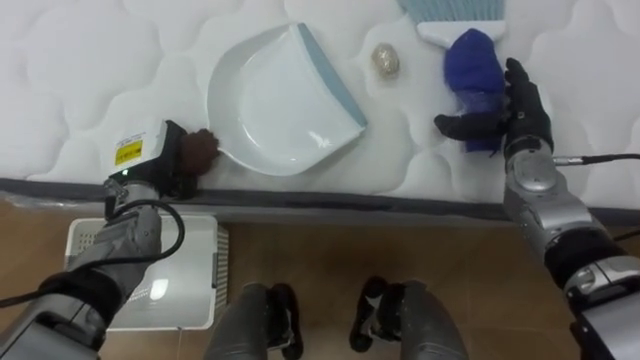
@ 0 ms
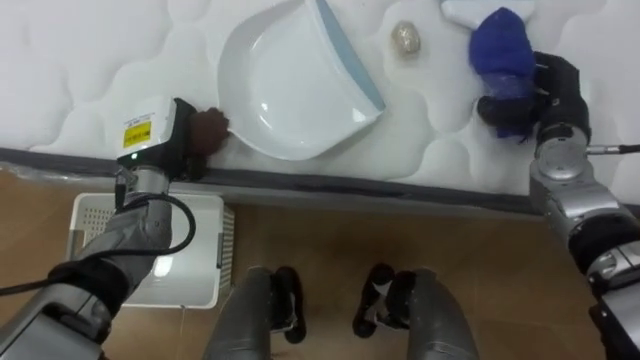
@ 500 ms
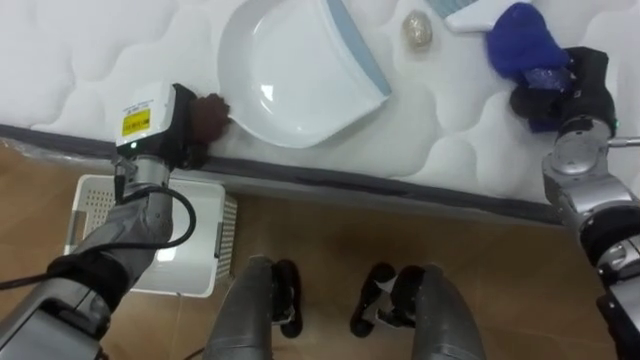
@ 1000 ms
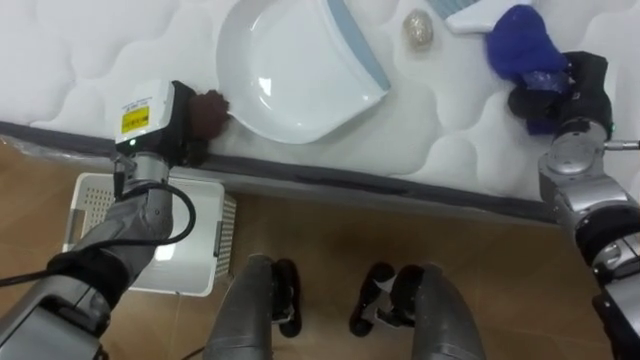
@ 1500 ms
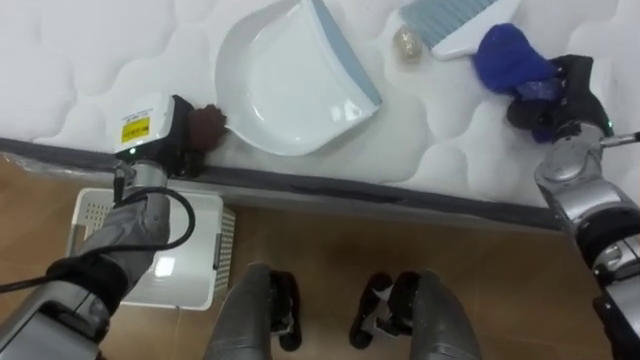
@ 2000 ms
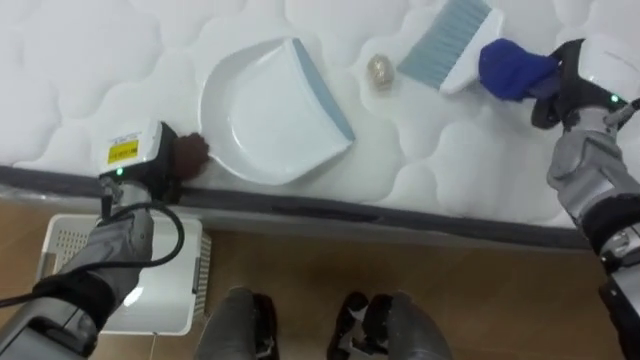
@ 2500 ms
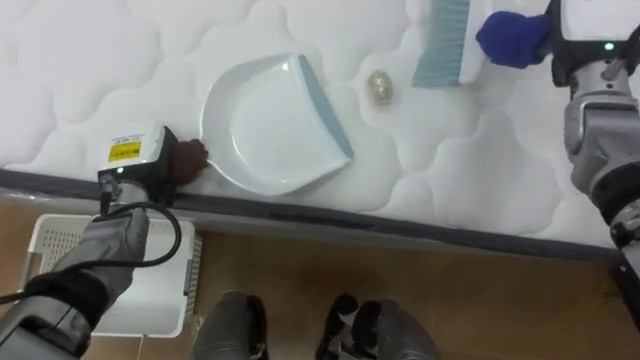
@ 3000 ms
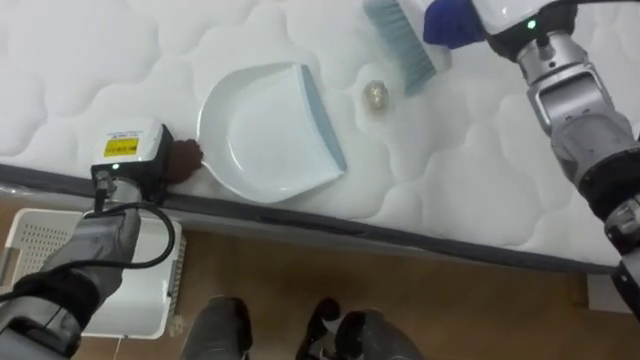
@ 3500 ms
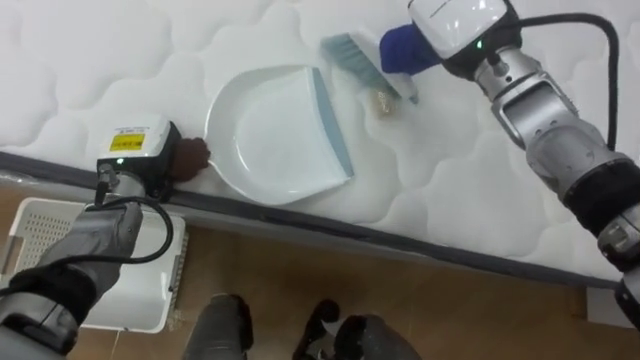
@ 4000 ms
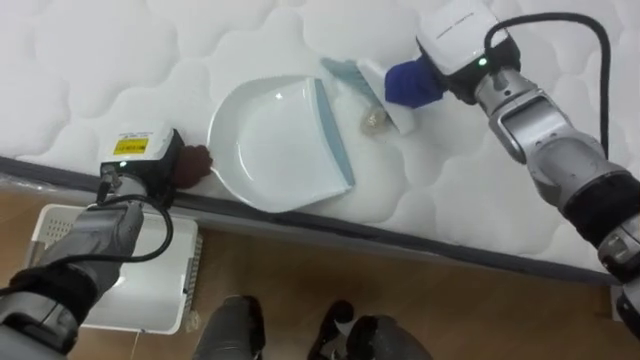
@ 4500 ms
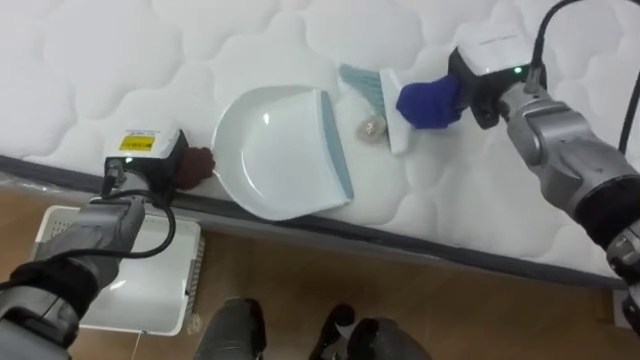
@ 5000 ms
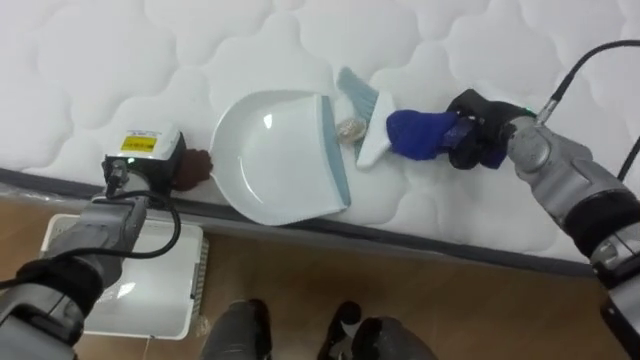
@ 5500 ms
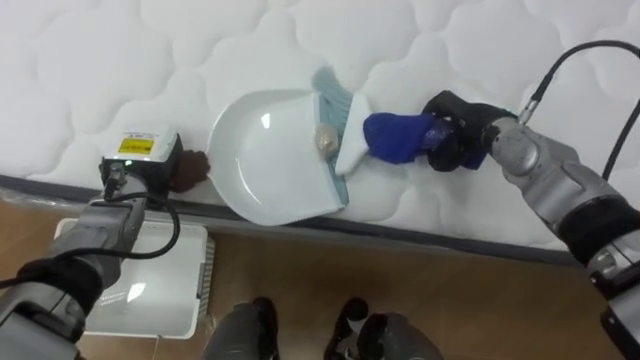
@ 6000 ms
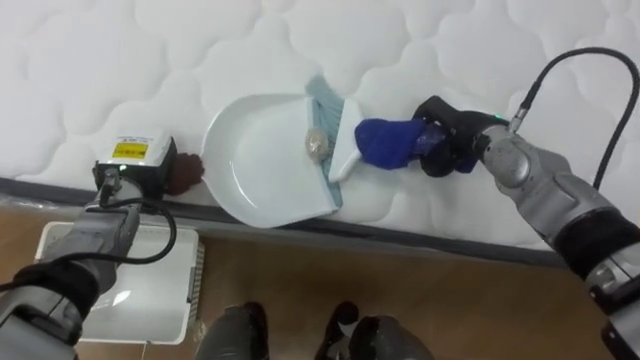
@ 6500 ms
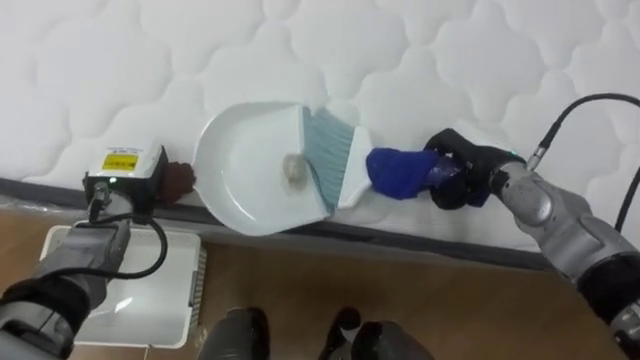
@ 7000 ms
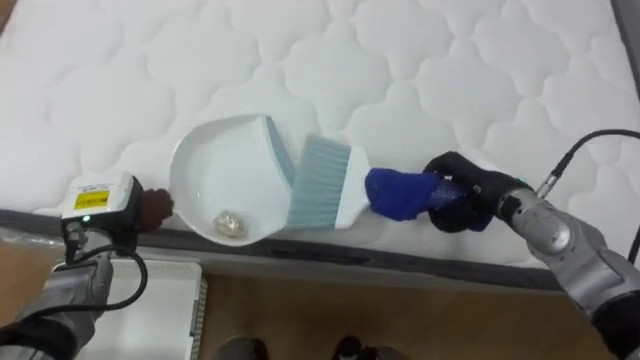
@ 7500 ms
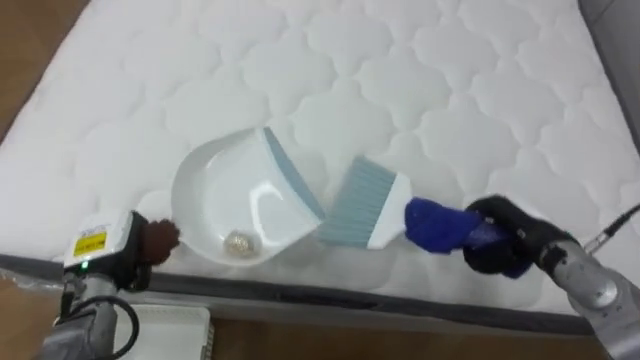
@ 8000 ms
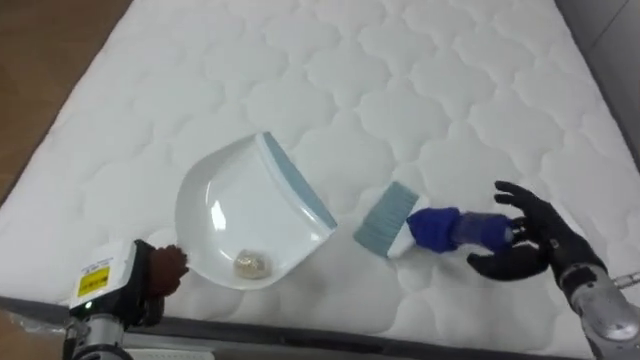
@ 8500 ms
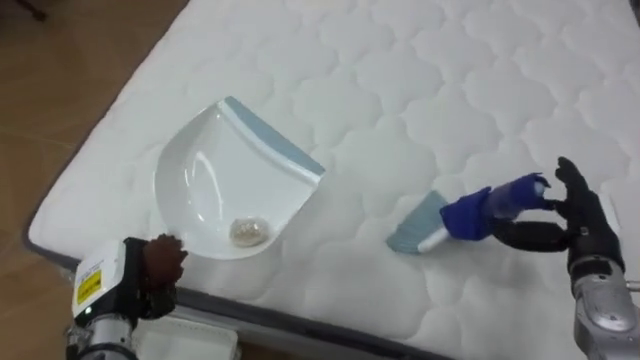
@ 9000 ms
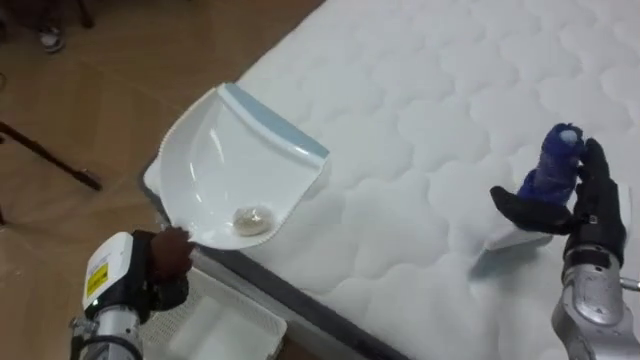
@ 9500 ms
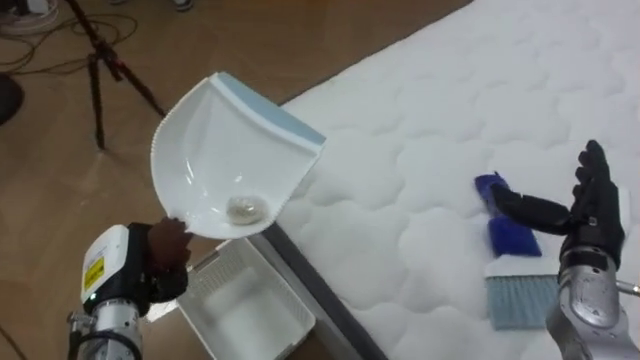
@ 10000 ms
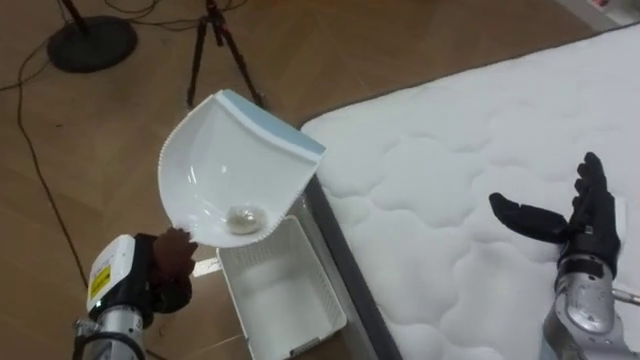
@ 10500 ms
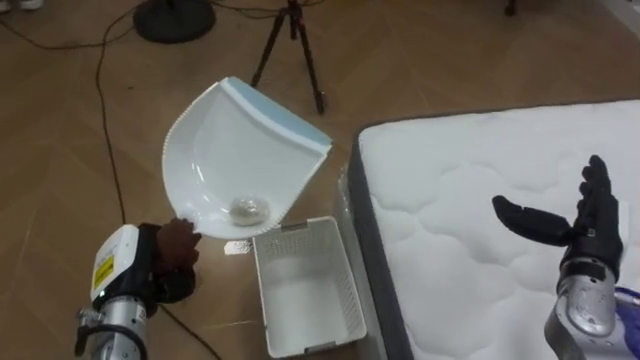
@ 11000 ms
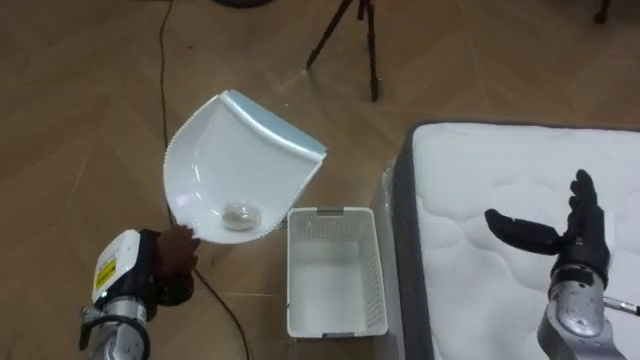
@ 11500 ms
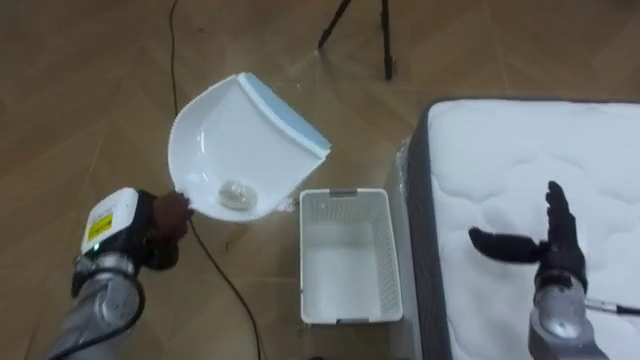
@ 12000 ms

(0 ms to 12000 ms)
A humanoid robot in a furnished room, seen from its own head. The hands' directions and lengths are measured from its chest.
Task of the whole recording: Pick up the brush on your right and the dustpan on your left. Use the brush to sweep the crumpled paper on the bed into the dustpan, then turn left and empty it into the basket.
0 ms - 2000 ms: The right hand heads to the right, covering roughly 5 cm, and closes.
4000 ms - 6000 ms: The right hand goes roughly 15 cm downward.
6000 ms - 8000 ms: The left hand shifts about 10 cm backward and downward, while the right hand travels backward, downward and to the right by some 15 cm.
8000 ms - 10000 ms: The robot turns to its left by some 45 degrees. The right hand changes place by some 5 cm, and opens its fingers.
10000 ms - 12000 ms: The robot's body swings some 45 degrees to its left. The left hand is displaced forward by roughly 5 cm; the right hand travels downward by roughly 5 cm.

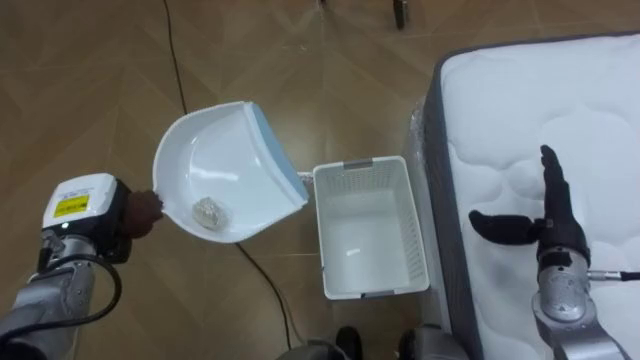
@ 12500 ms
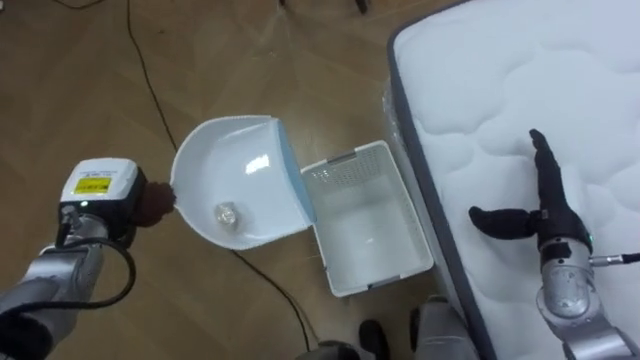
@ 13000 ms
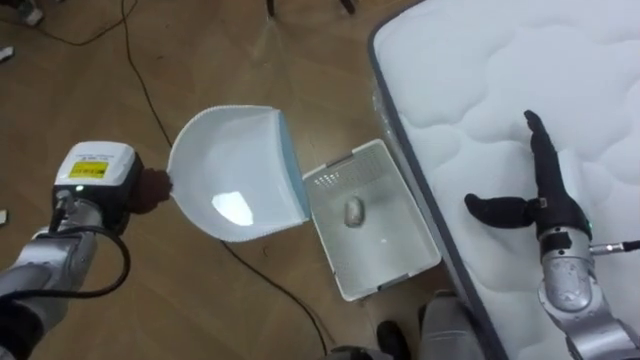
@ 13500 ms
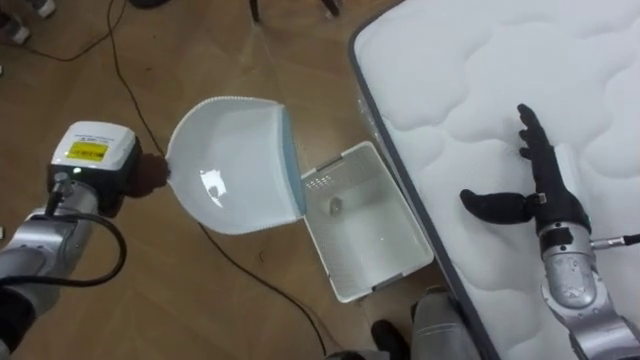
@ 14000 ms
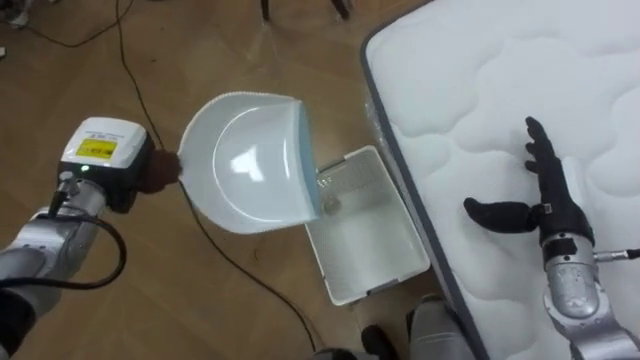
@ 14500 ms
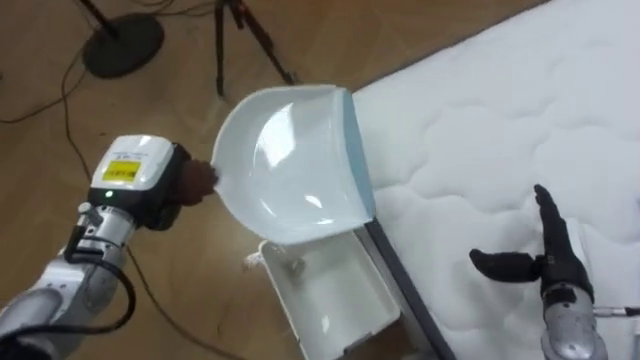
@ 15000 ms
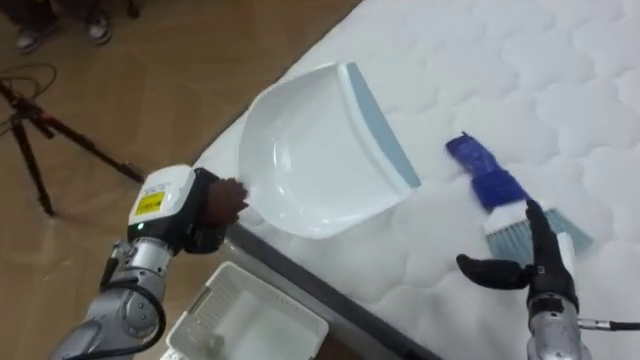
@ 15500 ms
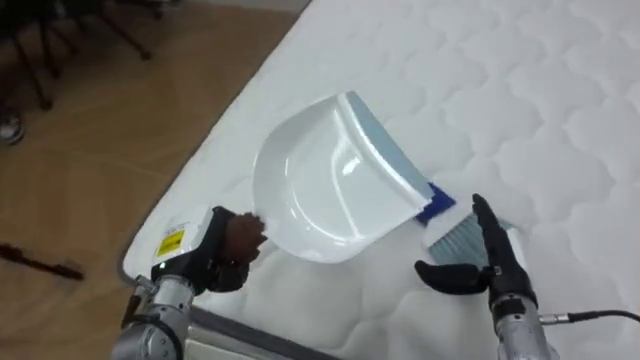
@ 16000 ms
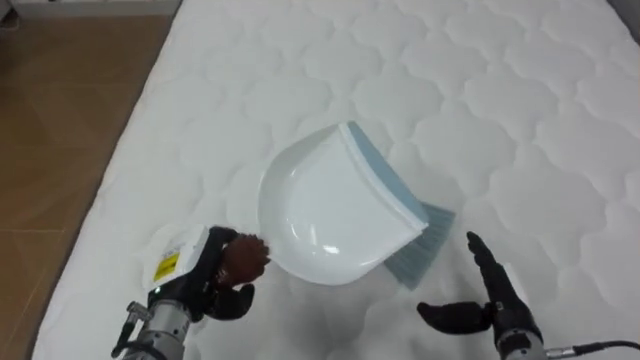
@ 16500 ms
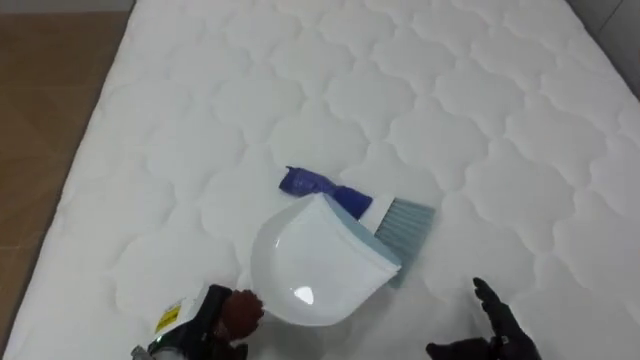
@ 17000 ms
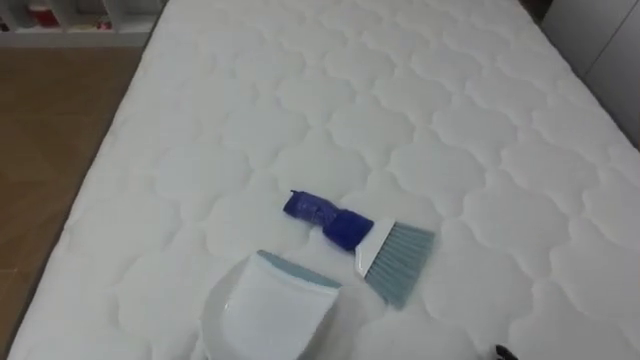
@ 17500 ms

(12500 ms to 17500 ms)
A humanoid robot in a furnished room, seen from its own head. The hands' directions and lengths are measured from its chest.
Task of the whole recording: Pick up the brush on your right and the dustpan on your left. Use the brush to sweep the crumpled paper on the bed into the dustpan, then turn left and empty it into the basket.
12500 ms - 15000 ms: The robot's body swings about 20 degrees to its right. The left hand is displaced to the right and upward by some 10 cm; the right hand changes place by roughly 5 cm.
15000 ms - 17500 ms: The robot's body swings some 75 degrees to its right.

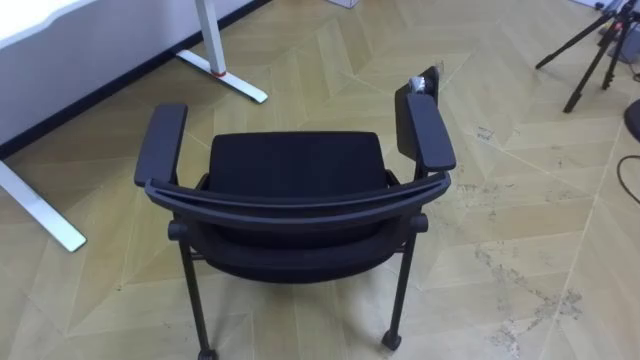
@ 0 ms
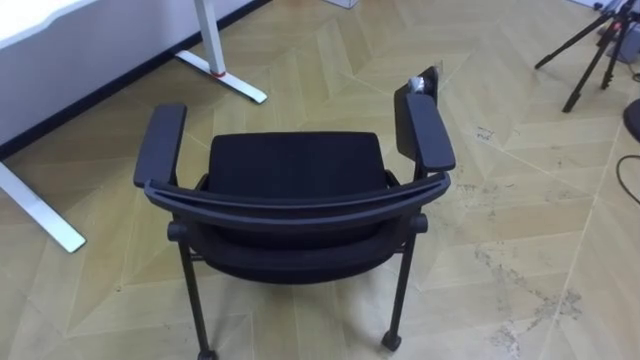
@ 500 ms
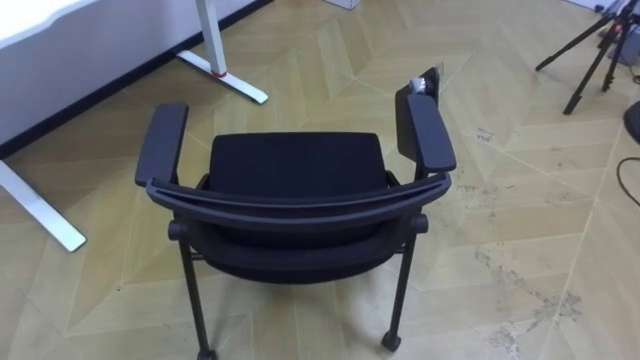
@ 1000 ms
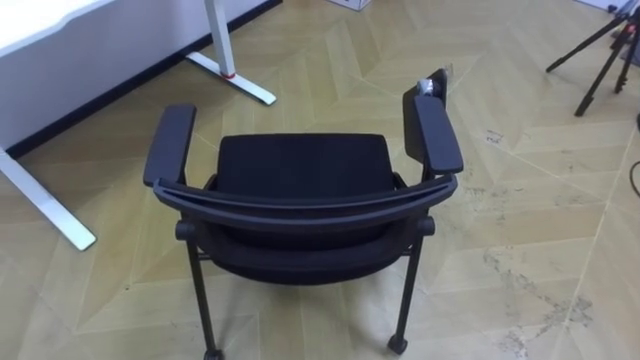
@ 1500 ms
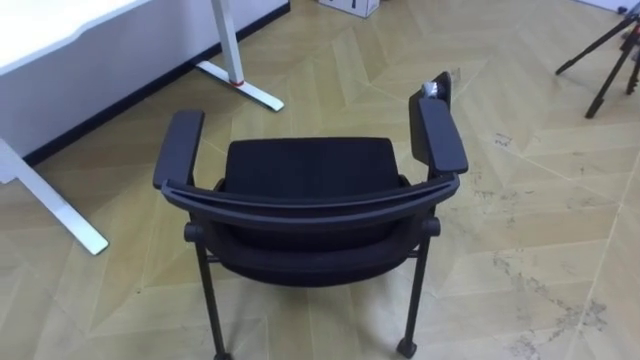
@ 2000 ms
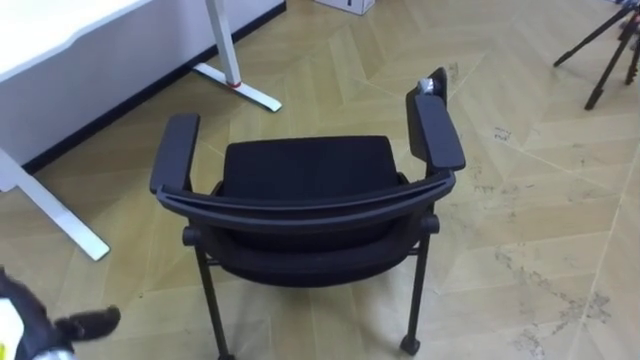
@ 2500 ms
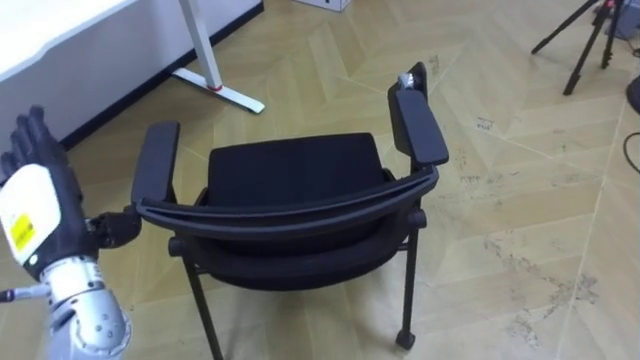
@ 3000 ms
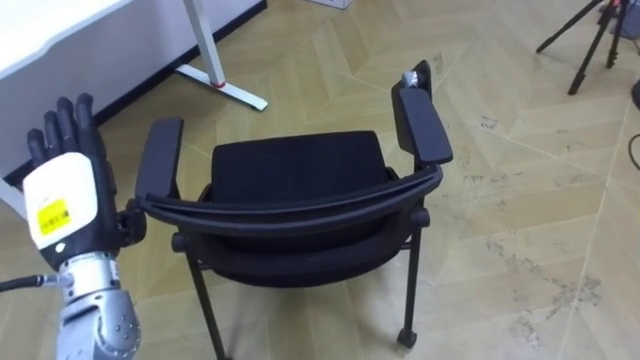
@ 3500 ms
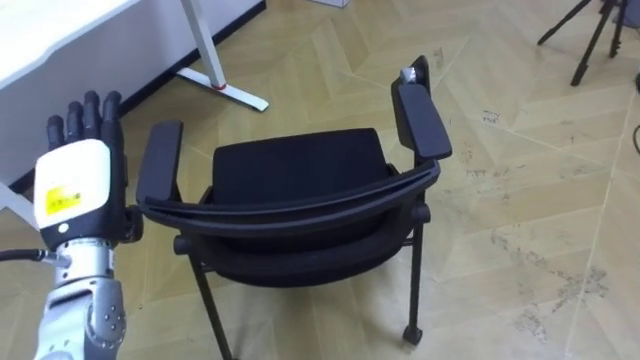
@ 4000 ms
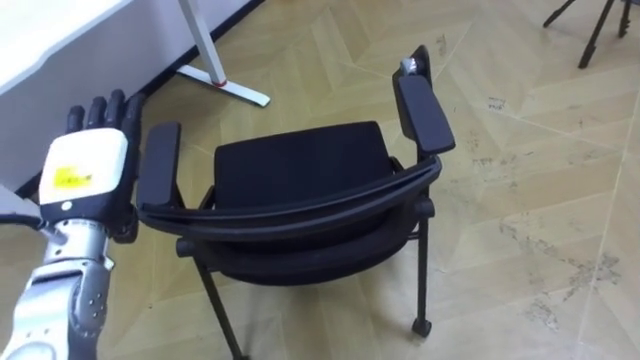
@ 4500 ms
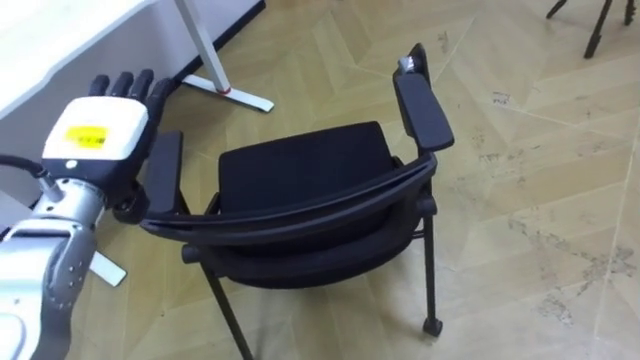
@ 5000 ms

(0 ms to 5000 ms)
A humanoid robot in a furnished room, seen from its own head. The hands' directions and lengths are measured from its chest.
Task of the whole recording: Push the chair under the table.
2500 ms - 5000 ms: The left hand travels upward, forward and to the right by some 25 cm.
